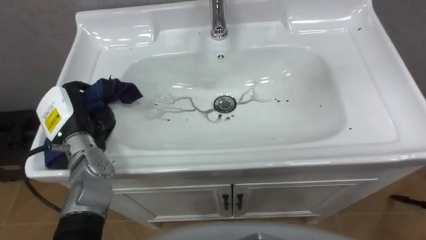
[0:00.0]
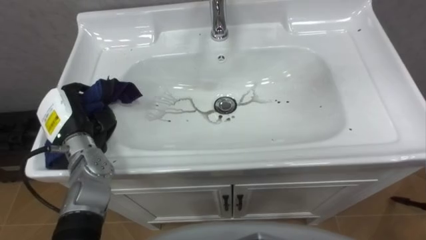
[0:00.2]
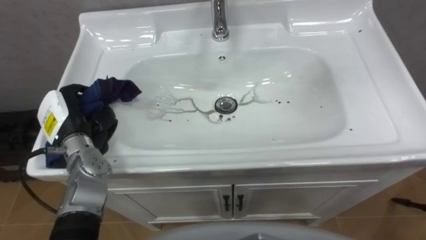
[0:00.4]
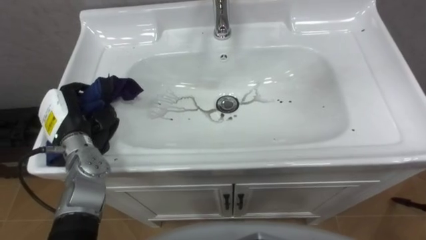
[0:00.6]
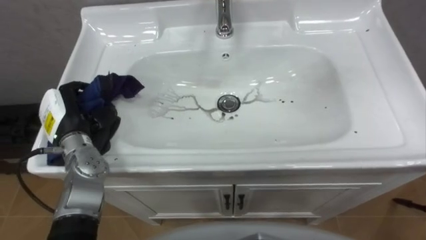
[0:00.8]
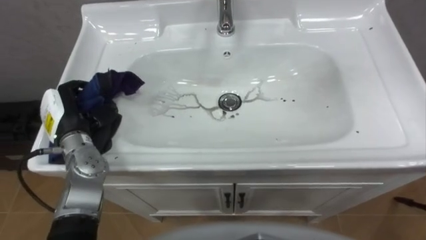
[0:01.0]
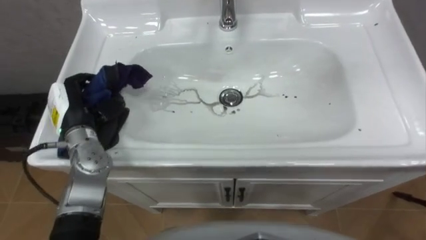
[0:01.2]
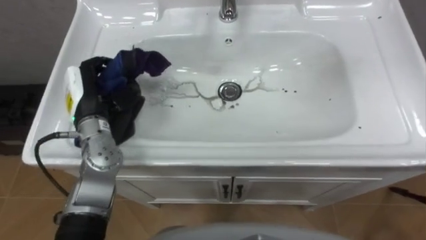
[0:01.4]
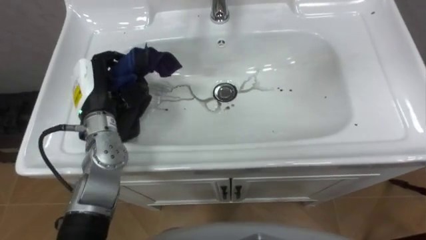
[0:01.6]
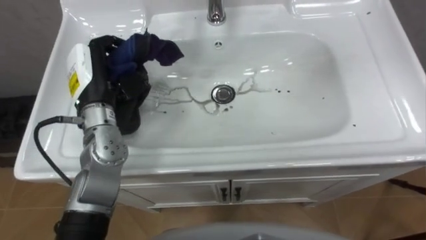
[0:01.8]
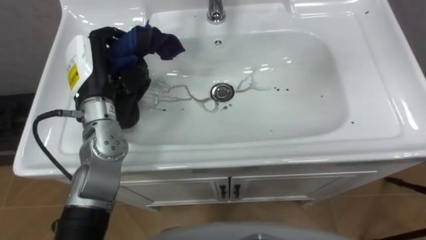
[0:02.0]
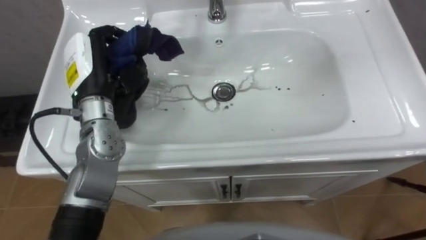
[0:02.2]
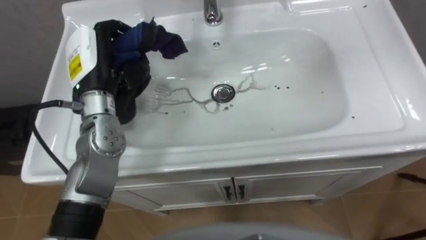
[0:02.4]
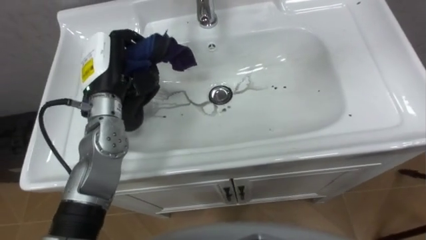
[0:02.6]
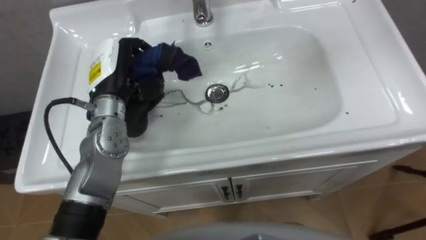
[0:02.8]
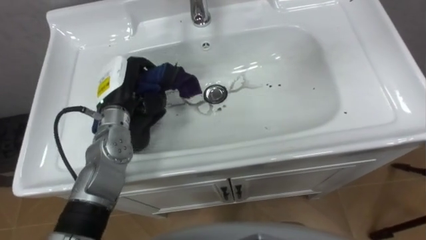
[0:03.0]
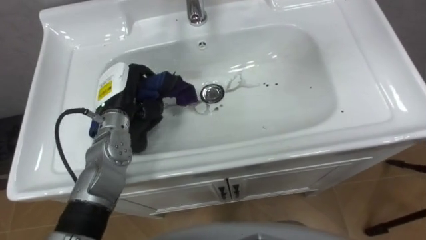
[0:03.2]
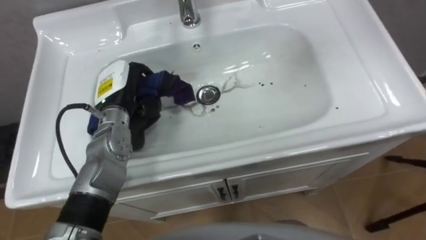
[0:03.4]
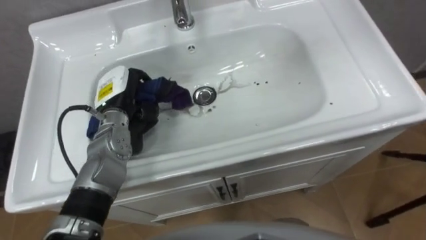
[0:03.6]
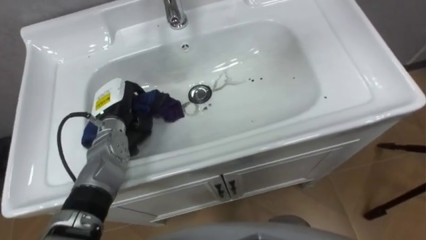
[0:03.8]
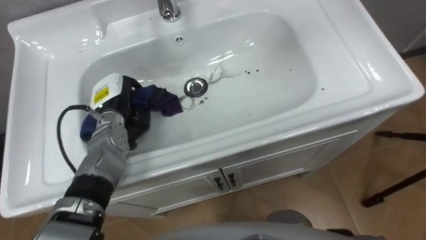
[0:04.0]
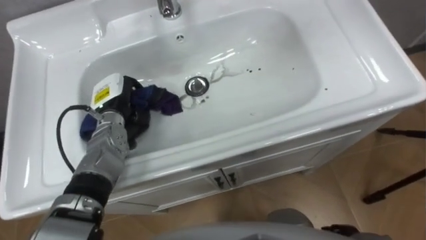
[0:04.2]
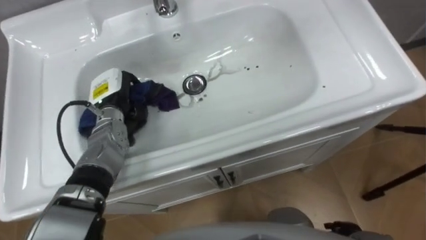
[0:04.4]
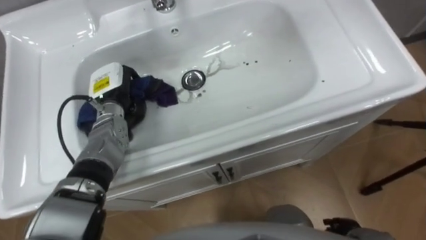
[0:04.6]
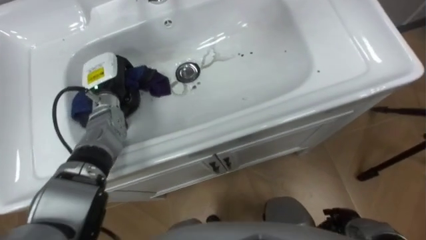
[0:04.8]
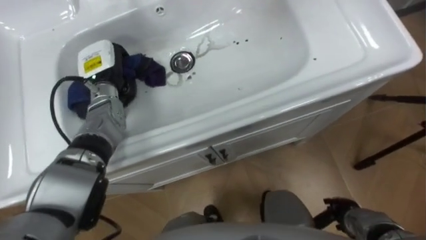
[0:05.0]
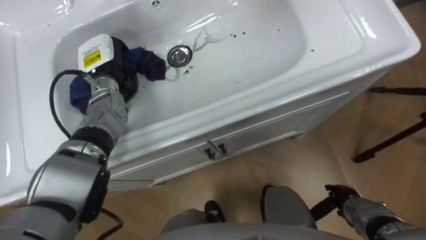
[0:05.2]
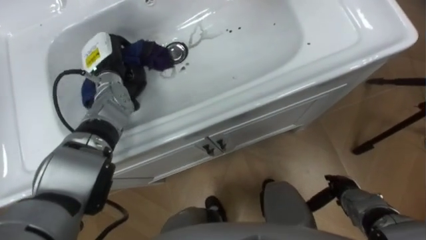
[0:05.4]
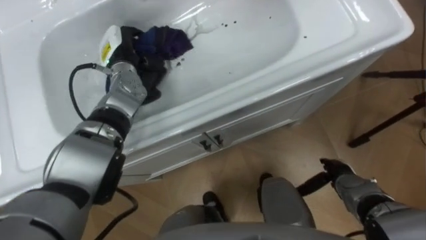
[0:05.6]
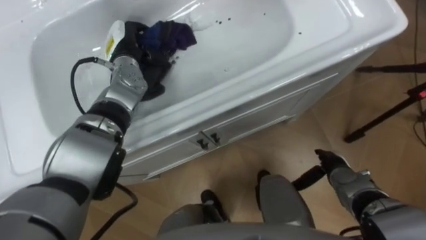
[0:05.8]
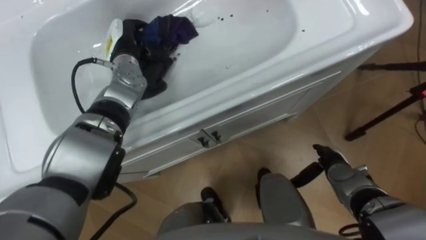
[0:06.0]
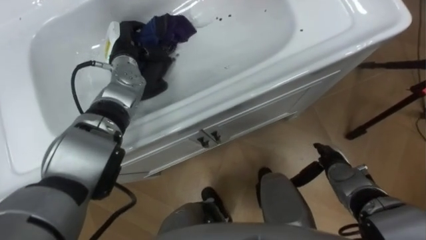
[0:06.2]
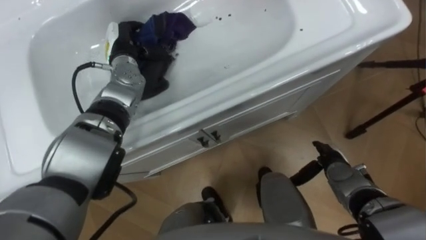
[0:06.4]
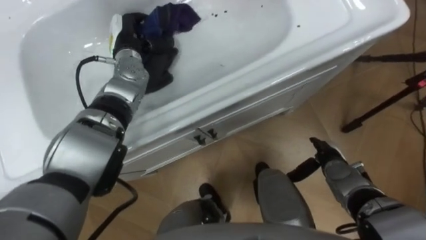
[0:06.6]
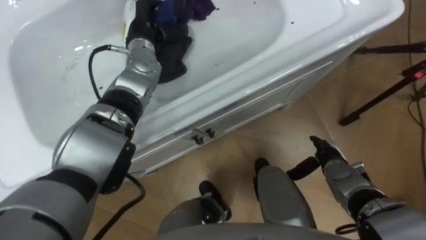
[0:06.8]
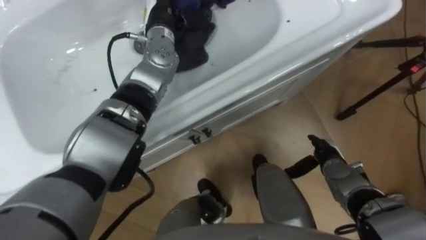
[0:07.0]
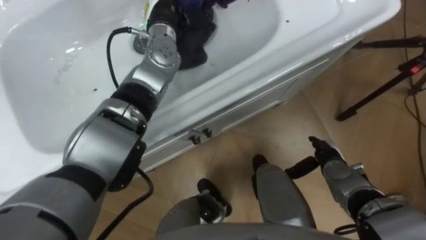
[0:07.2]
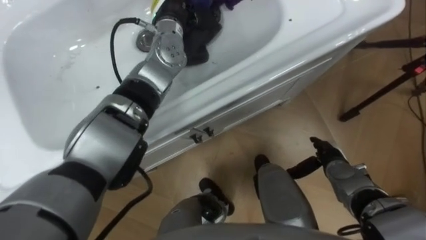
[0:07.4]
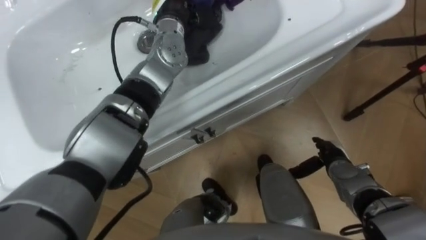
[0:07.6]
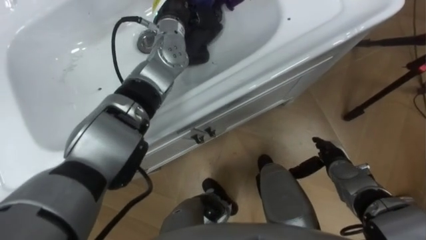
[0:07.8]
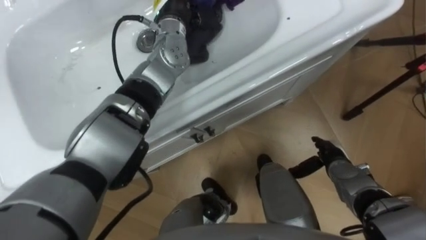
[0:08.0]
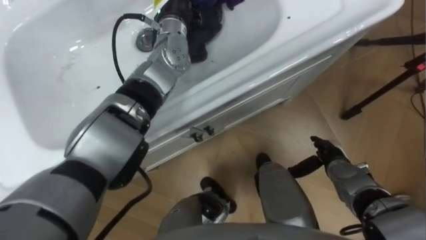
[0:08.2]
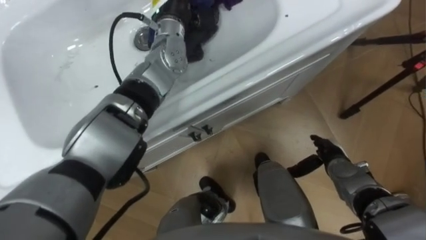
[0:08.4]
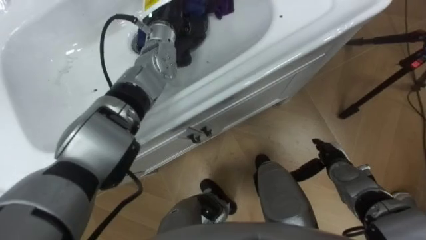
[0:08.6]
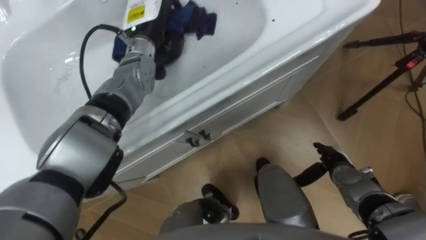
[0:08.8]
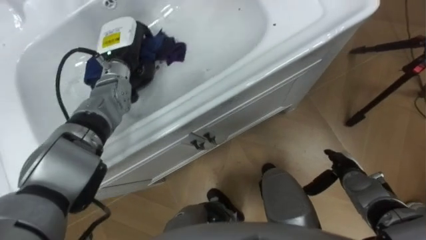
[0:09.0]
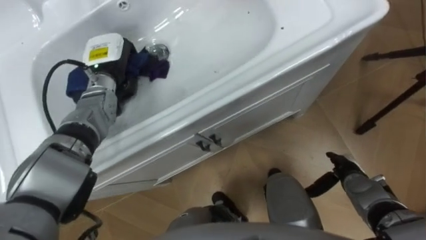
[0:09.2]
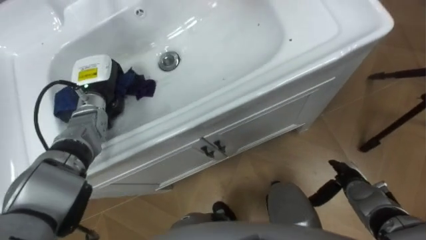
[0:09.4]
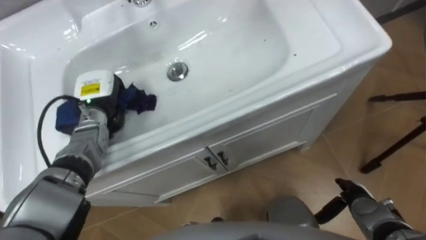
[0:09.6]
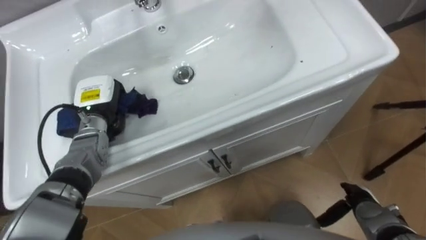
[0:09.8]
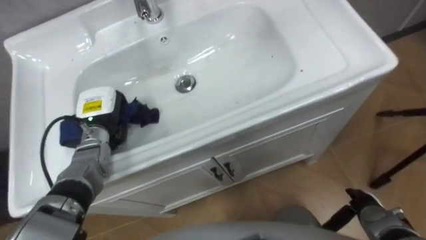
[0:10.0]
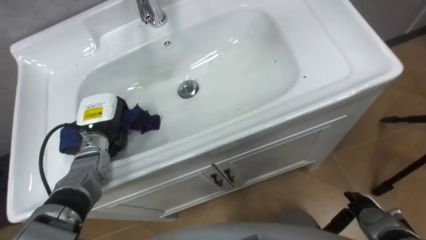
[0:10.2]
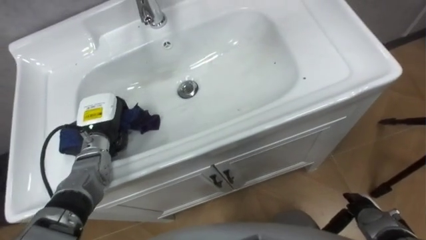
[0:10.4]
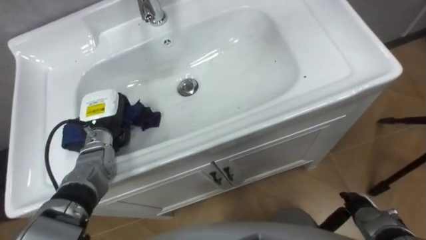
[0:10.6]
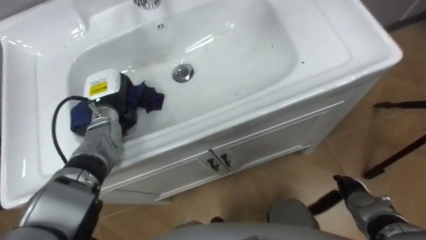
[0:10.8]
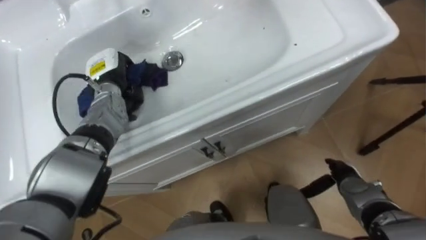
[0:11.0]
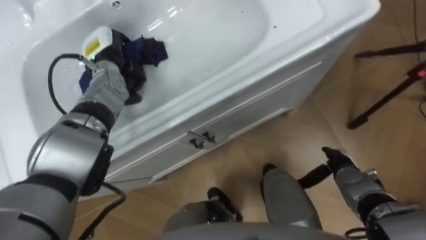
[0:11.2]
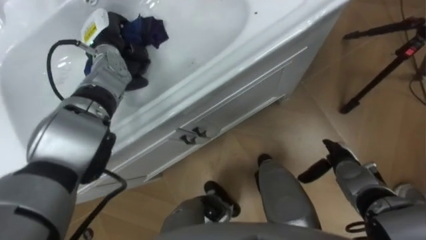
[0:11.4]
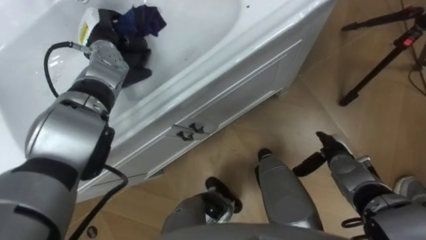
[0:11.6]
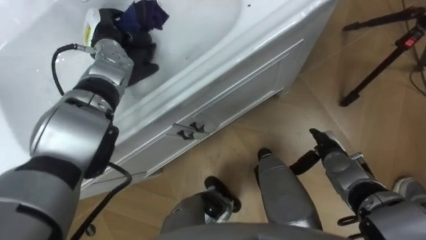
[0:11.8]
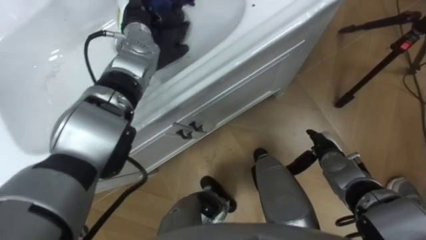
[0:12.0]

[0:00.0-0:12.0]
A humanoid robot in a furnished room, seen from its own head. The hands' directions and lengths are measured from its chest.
Task of the whole recording: Use the cloth on the right to wipe away the black stain in the sink.
0:00.0 to 0:01.6: The left hand moves to the right and upward, roughly 10 cm.
0:03.0 to 0:04.4: The left hand goes about 5 cm downward.
0:04.4 to 0:06.0: The left hand heads forward and upward, covering about 10 cm.
0:06.0 to 0:07.6: The left hand travels to the right and upward by some 15 cm.
0:07.6 to 0:09.0: The left hand goes roughly 15 cm to the left and downward.
0:09.0 to 0:10.4: The right hand travels backward by about 10 cm. The left hand travels backward, downward and to the left by about 15 cm.
0:10.4 to 0:12.0: The right hand moves forward and to the left, some 15 cm, while the left hand goes roughly 25 cm forward, upward and to the right.

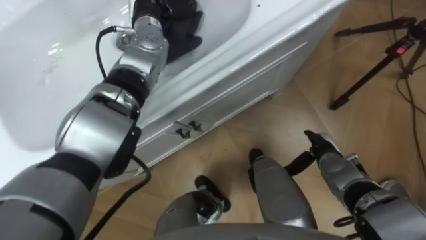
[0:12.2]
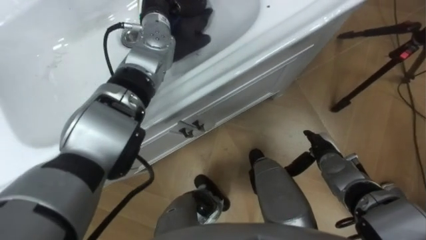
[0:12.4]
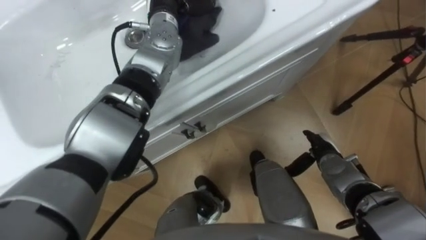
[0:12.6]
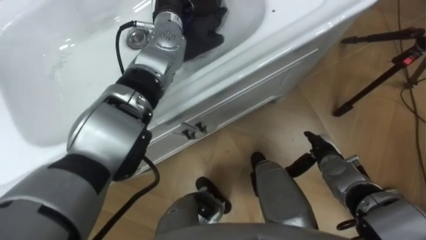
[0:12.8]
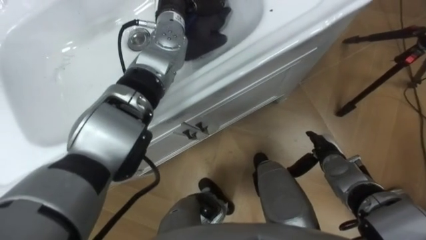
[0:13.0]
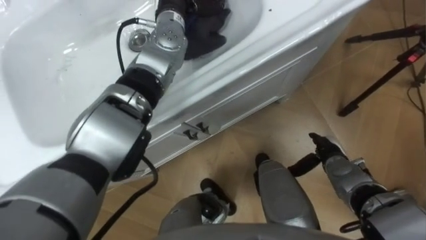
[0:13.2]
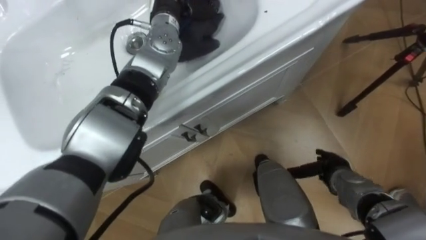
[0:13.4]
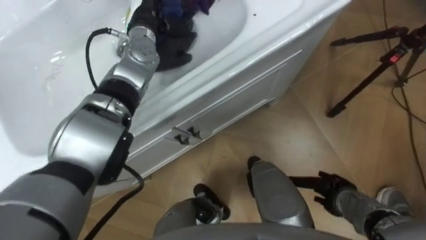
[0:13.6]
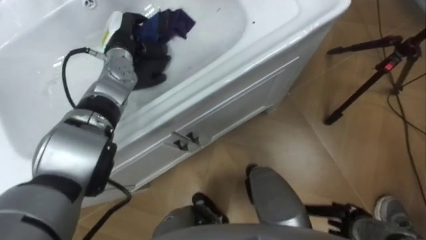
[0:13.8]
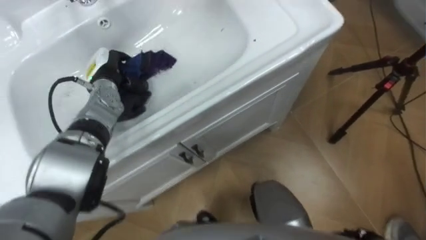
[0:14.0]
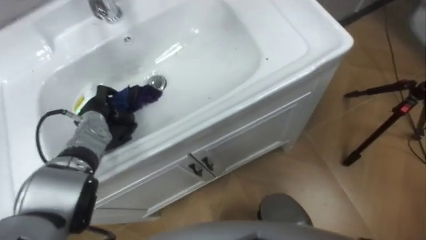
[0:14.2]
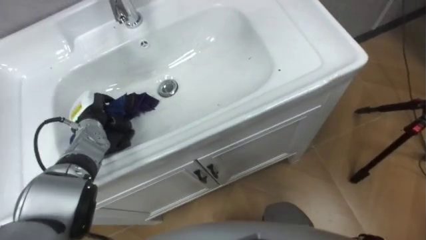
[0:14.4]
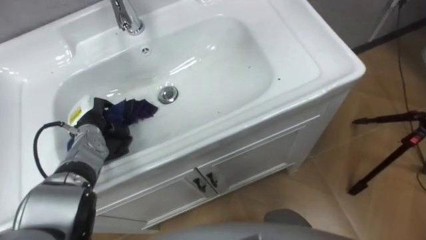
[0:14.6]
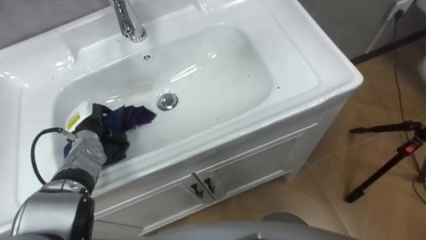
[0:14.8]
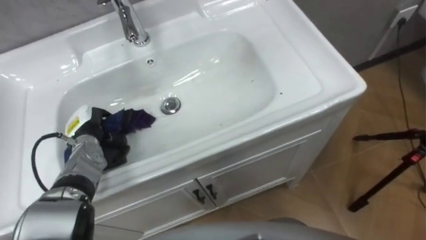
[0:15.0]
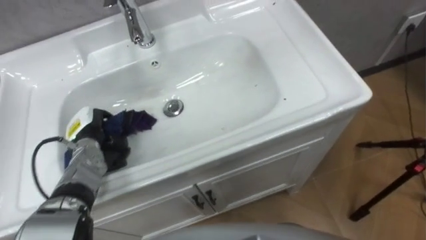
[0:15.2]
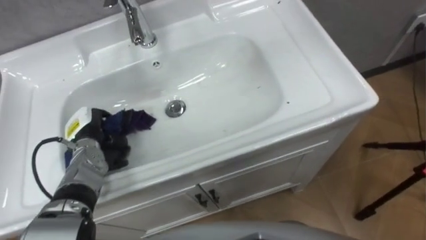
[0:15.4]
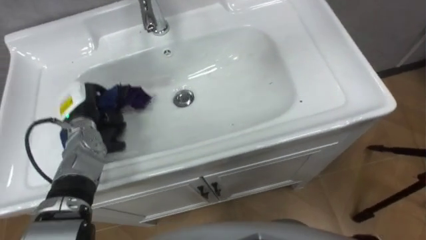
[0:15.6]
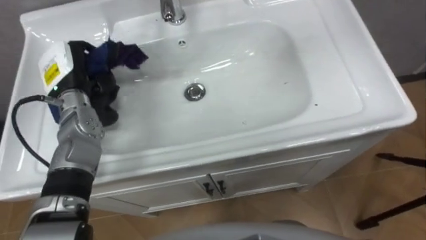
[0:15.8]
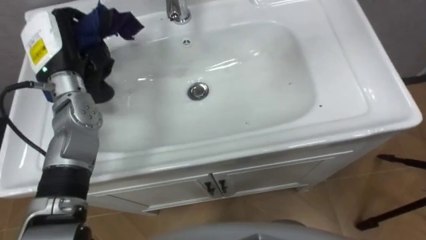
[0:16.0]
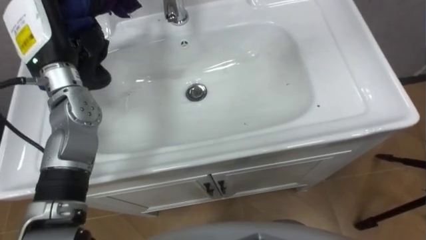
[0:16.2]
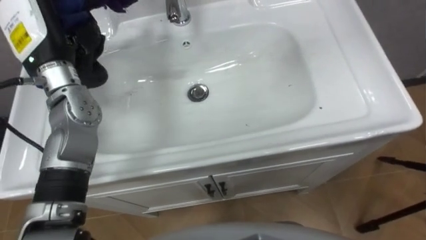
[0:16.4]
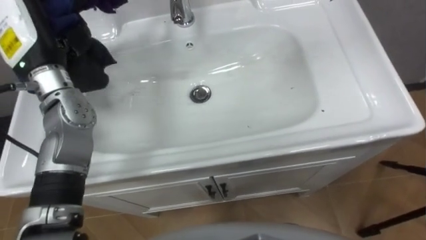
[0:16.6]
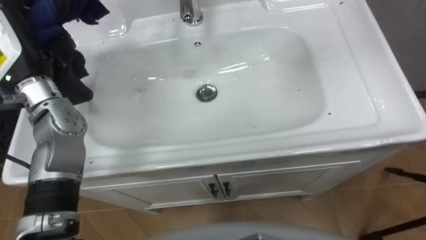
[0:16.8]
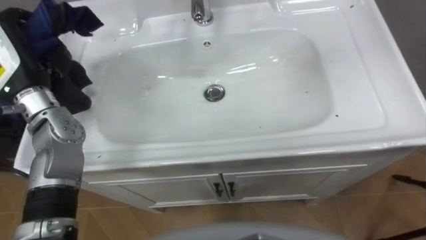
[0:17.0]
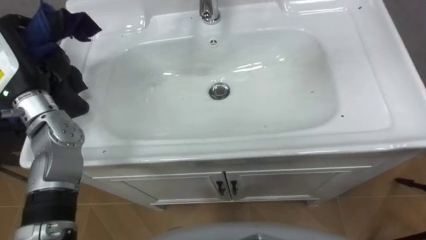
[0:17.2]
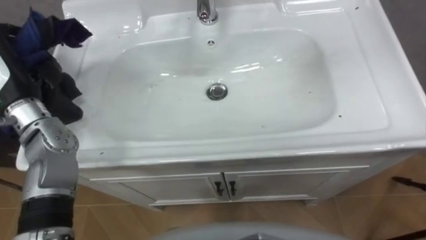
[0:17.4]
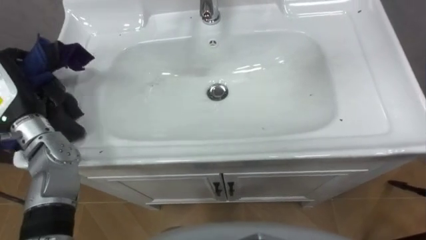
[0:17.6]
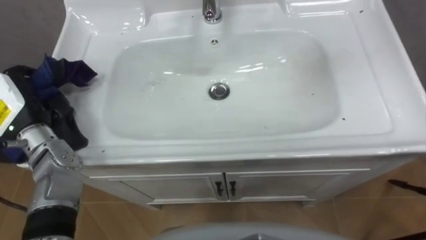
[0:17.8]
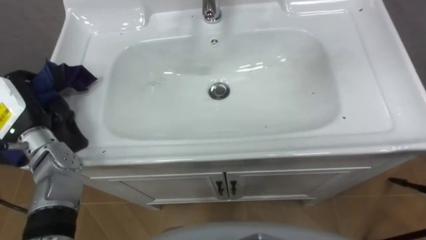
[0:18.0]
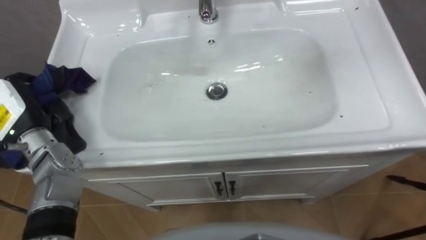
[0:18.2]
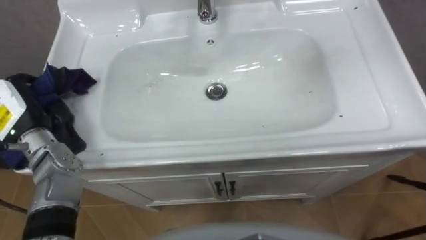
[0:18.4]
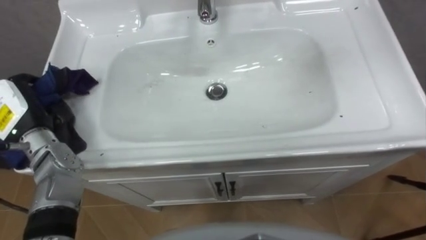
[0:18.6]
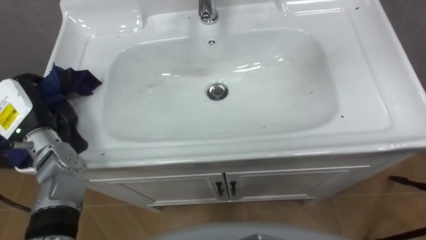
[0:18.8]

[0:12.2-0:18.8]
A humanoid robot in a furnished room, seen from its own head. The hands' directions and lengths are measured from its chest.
Task of the whole recording: Use the cloth on the right to wipe away the black stain in the sink.
0:12.2 to 0:13.8: The right hand moves backward, approximately 15 cm.
0:13.8 to 0:15.4: The left hand goes some 20 cm backward, downward and to the left.
0:15.4 to 0:17.2: The left hand is displaced upward by some 20 cm.
